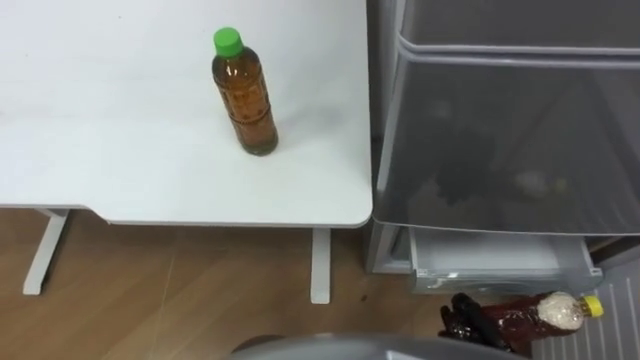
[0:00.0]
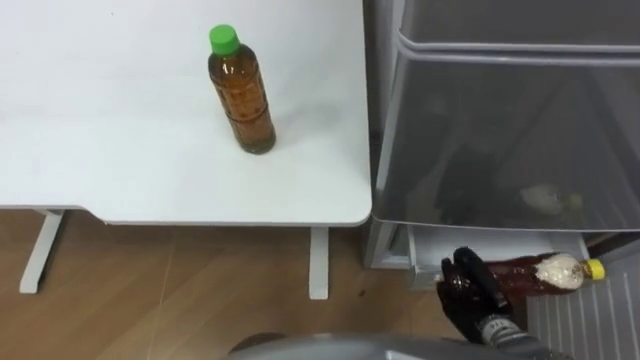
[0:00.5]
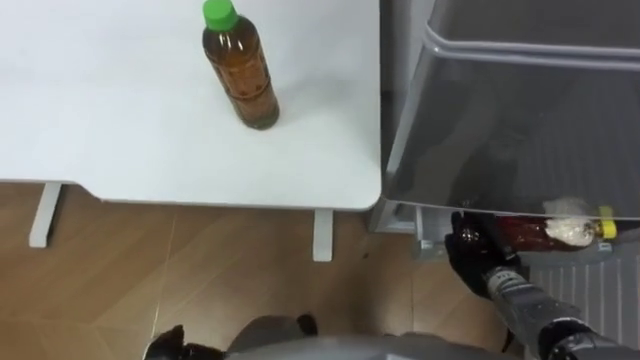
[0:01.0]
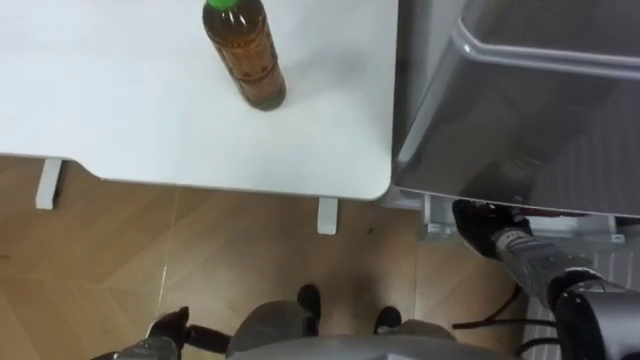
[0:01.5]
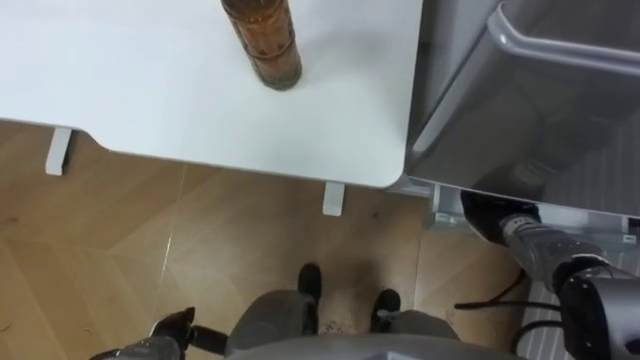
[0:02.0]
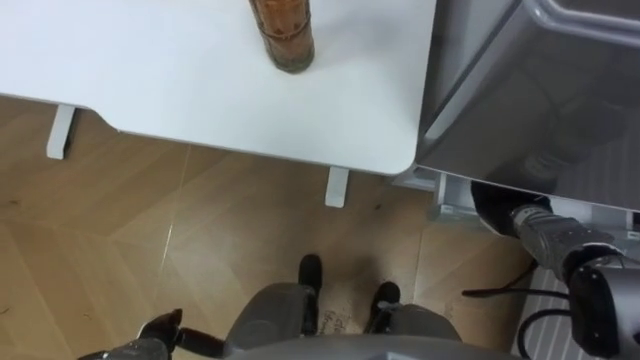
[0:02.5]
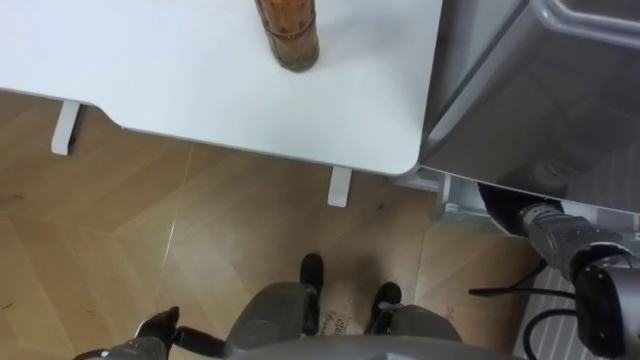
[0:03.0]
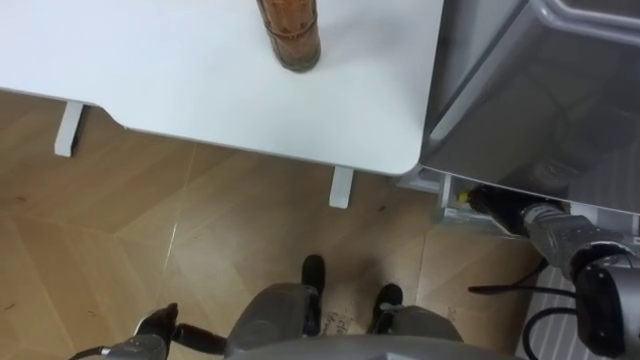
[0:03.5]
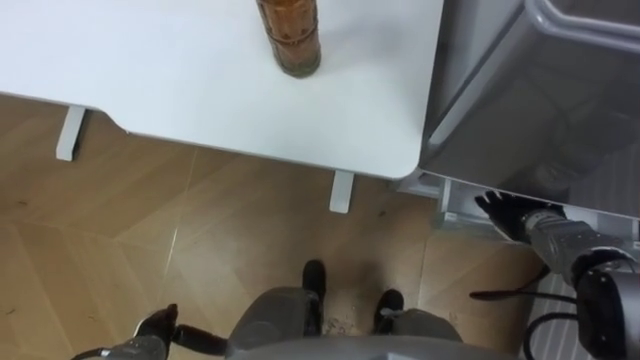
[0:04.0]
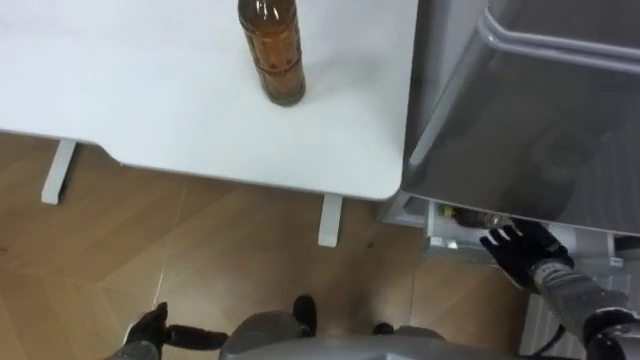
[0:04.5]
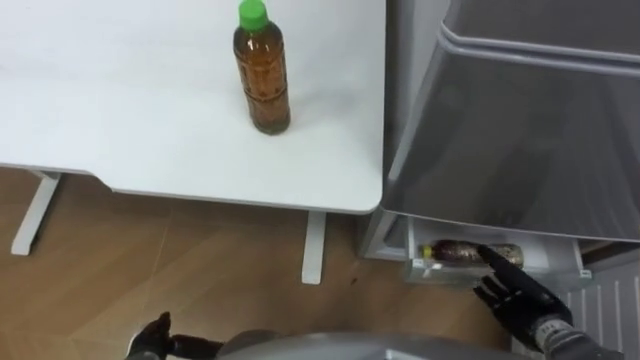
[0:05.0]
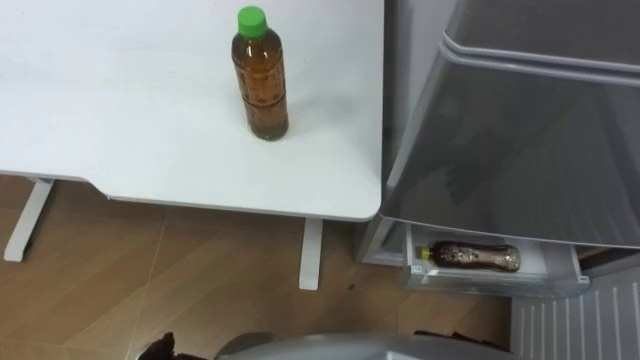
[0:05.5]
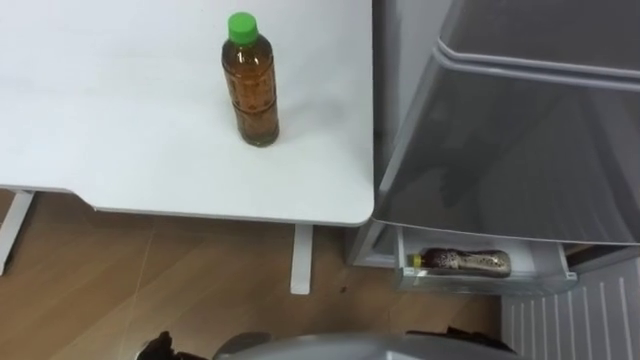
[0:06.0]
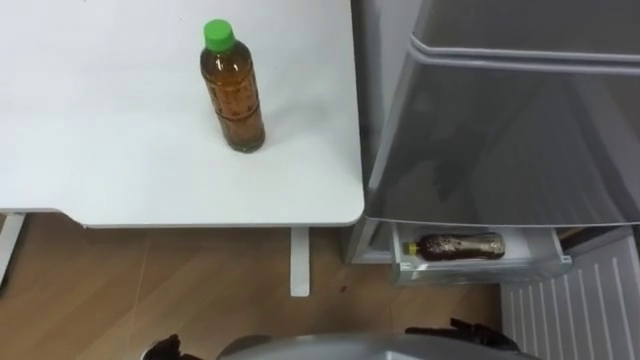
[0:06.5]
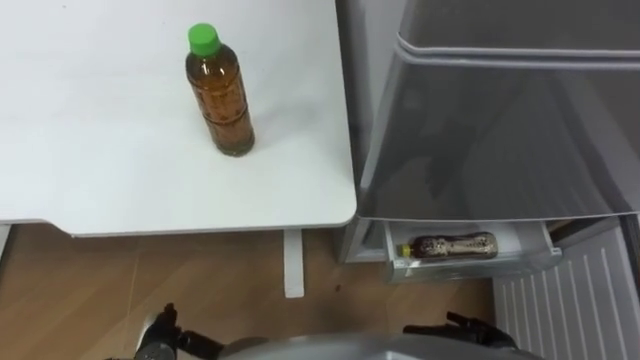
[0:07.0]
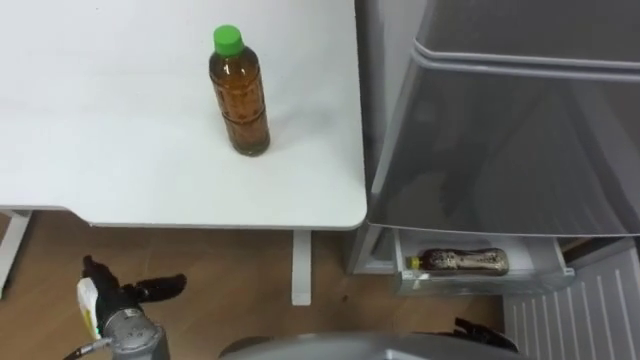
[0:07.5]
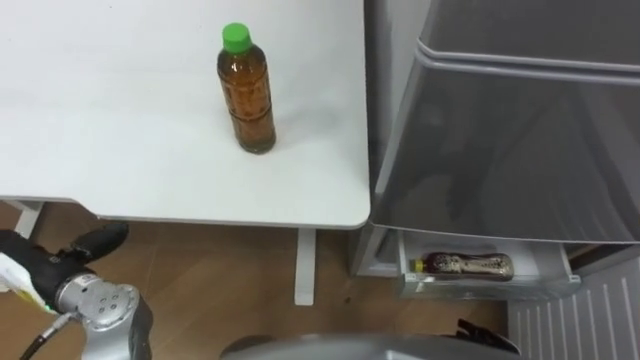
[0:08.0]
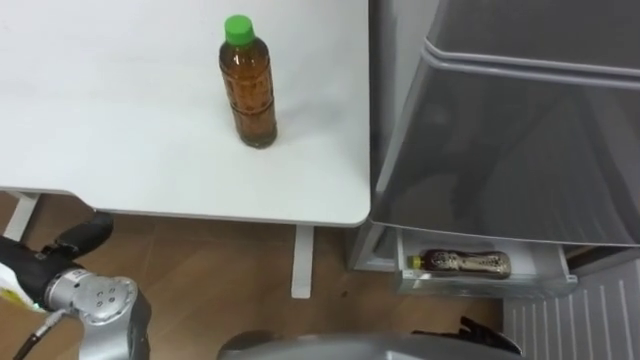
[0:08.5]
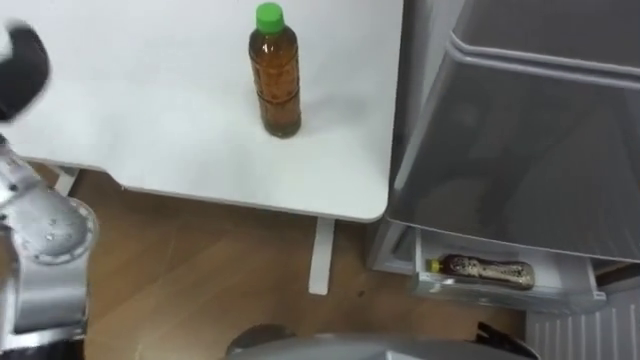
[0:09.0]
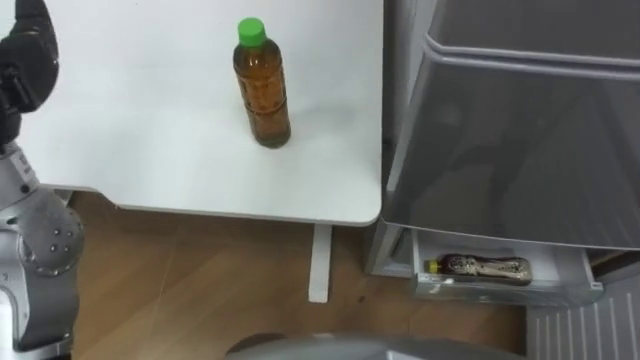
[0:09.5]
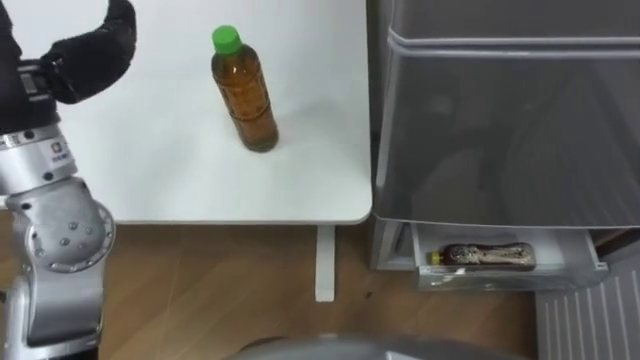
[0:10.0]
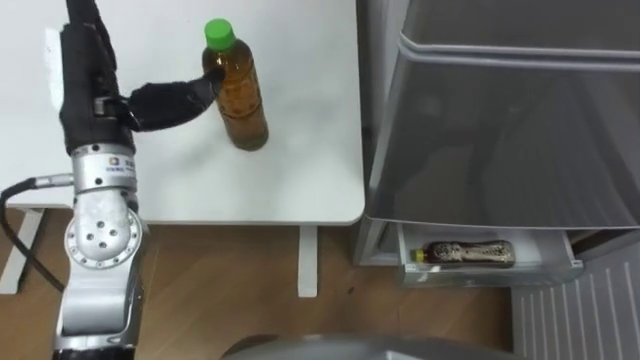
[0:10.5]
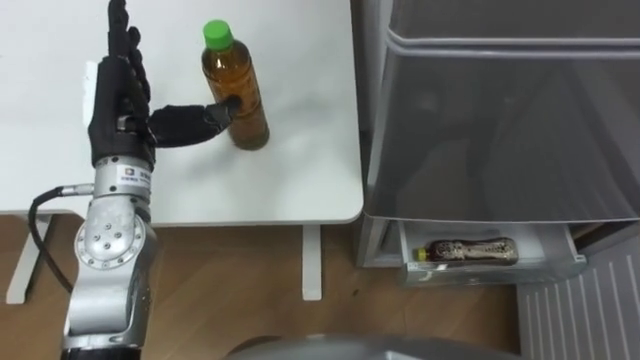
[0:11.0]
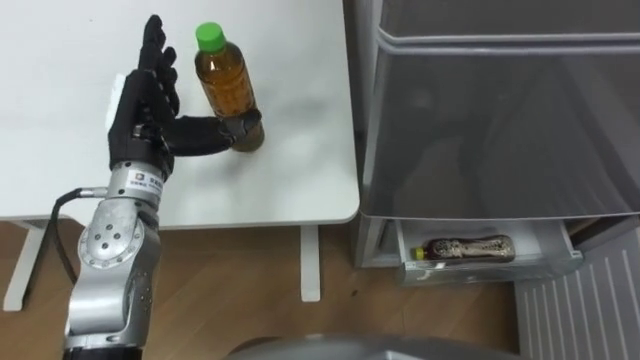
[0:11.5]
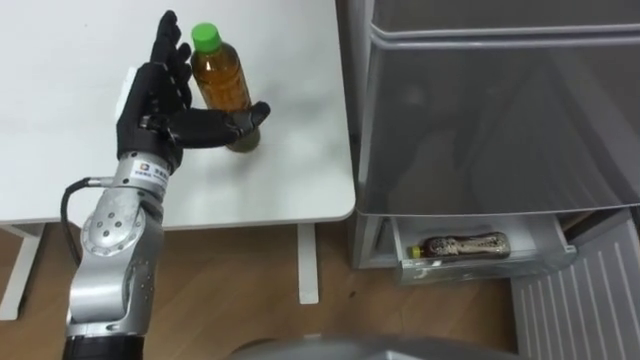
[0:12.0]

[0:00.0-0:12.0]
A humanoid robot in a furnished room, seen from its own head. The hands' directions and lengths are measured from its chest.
Task of the whole recording: Place the drink on the table on the bottom shelf of the refrigerator, then close the drawer and the refrigerator door.
0:00.0 to 0:02.0: The right hand goes approximately 20 cm forward.
0:02.0 to 0:04.0: The right hand opens up.

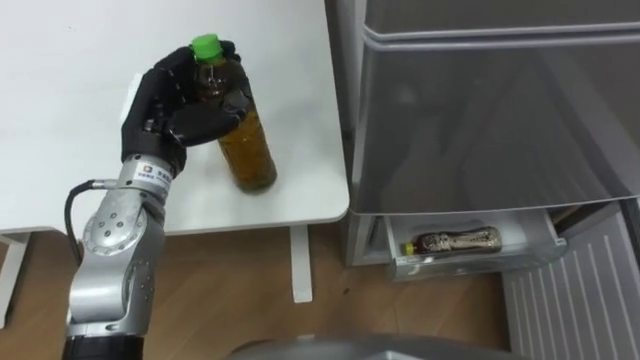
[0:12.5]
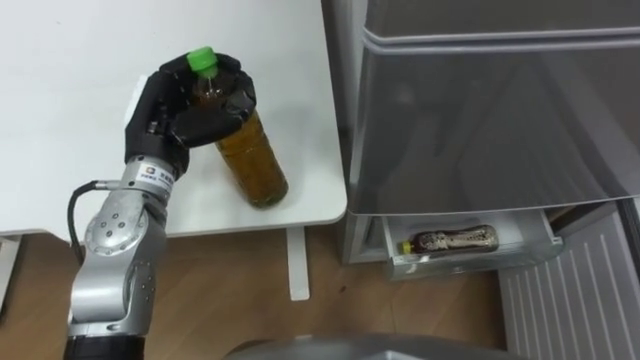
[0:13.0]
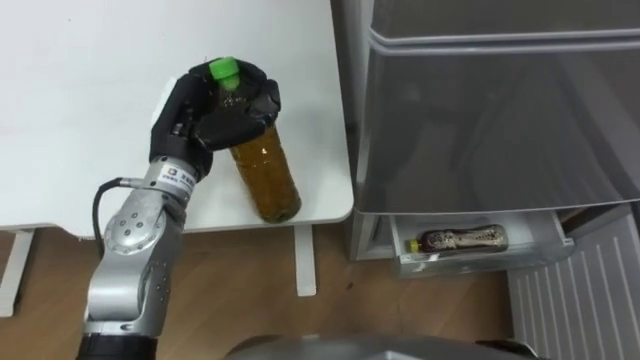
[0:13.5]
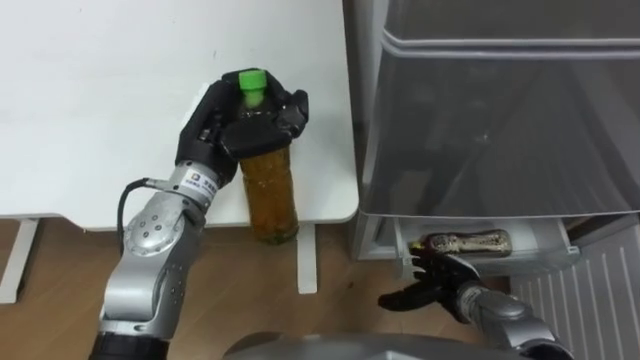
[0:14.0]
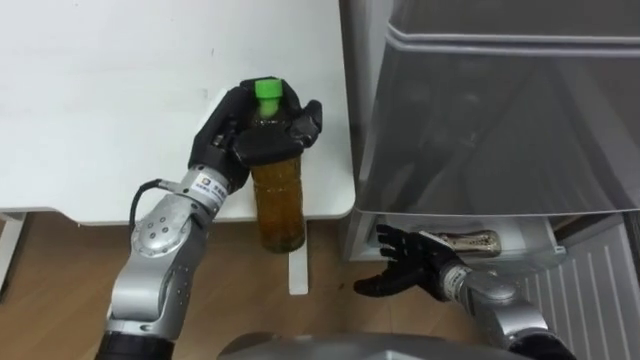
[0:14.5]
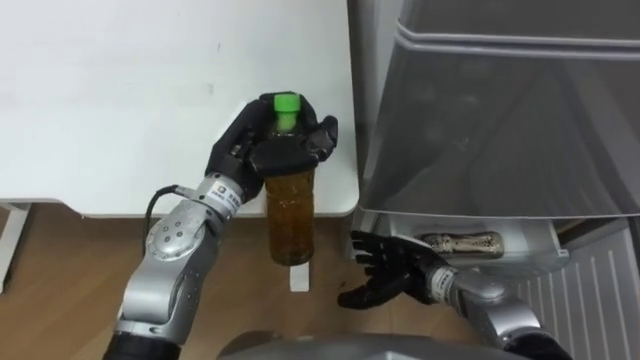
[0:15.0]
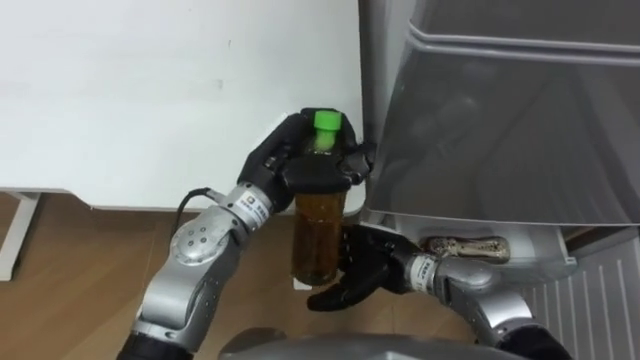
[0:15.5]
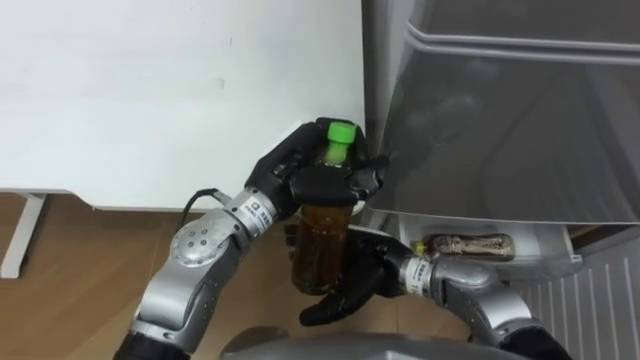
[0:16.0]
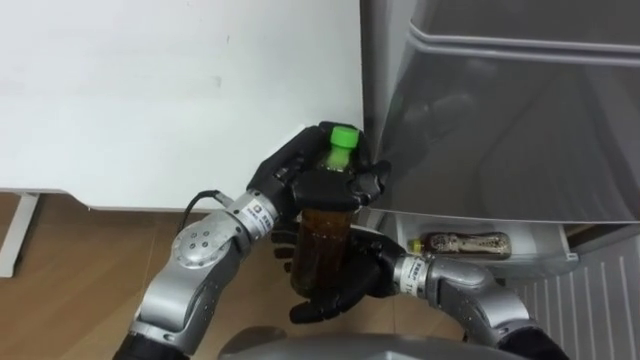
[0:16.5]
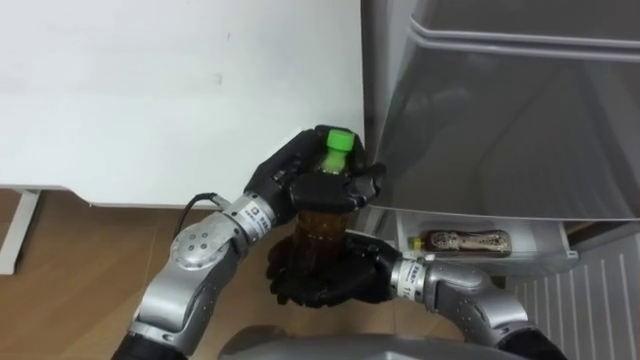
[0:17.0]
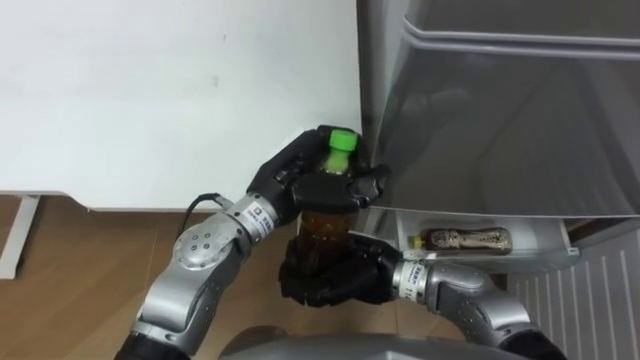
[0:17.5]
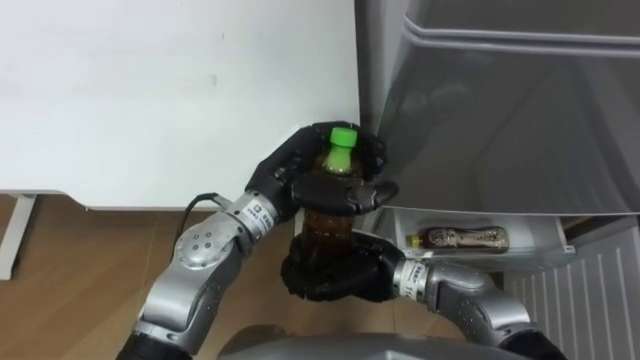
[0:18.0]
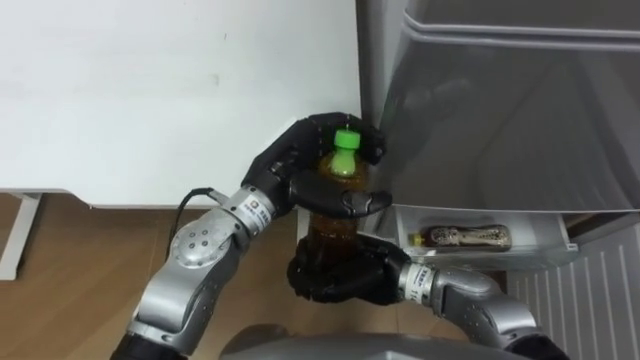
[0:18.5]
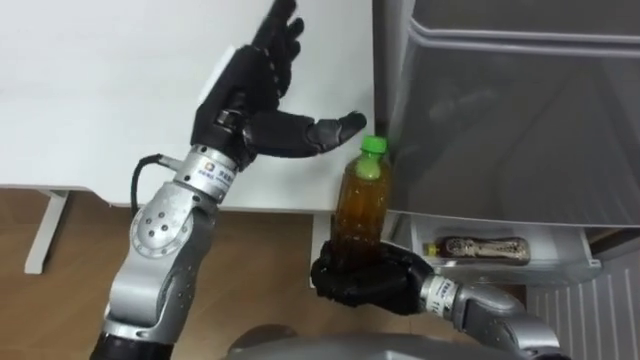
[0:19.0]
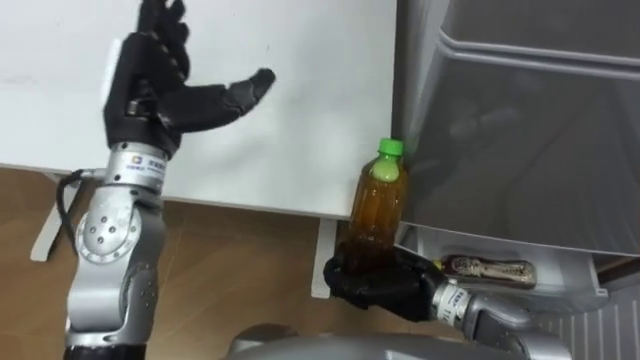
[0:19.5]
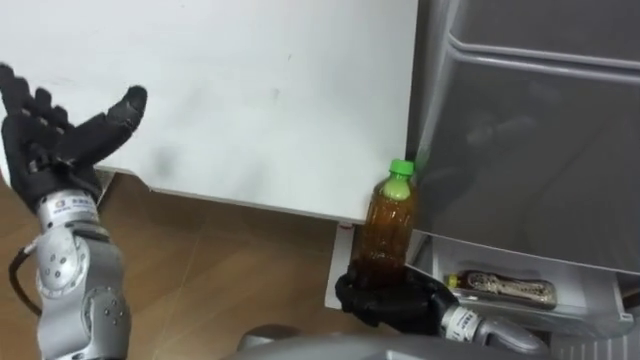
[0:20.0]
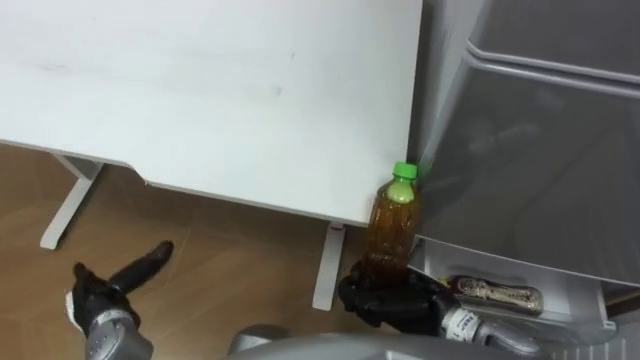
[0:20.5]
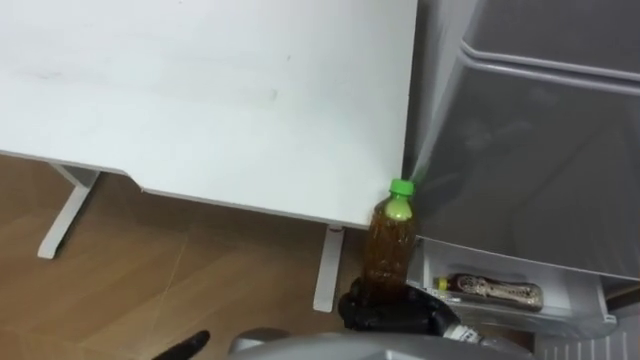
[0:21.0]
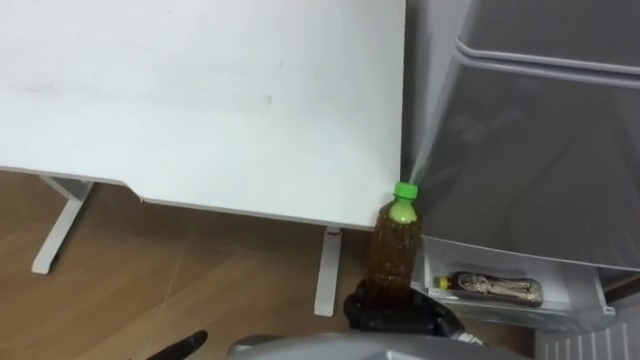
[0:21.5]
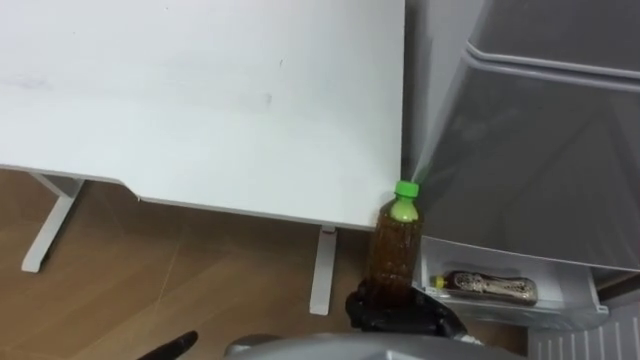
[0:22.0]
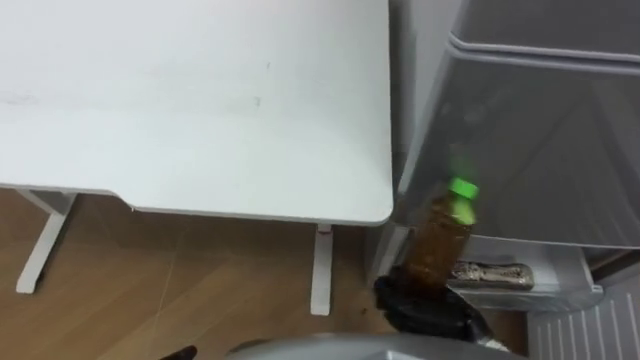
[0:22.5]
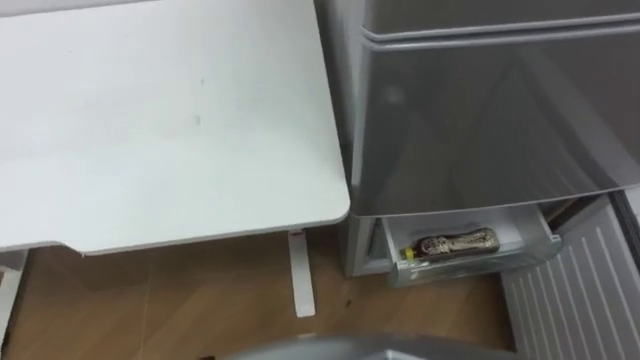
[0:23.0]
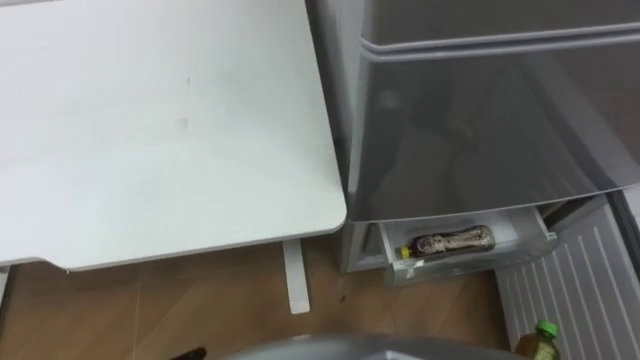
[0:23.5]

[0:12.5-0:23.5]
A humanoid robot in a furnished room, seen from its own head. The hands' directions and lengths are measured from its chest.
Task of the whole recording: Place the drink on the table on the bottom shelf of the refrigerator, then close the drawer and the refrigerator door.
0:12.5 to 0:14.5: The left hand heads to the right, covering approximately 10 cm, and closes up.
0:14.5 to 0:16.0: The left hand is displaced to the right by about 5 cm. The right hand goes approximately 10 cm to the left and upward.
0:16.0 to 0:18.0: The right hand closes. Meanwhile the left hand opens up.
0:18.0 to 0:20.0: The right hand goes some 10 cm to the right, while the left hand goes roughly 25 cm to the left, and opens its fingers.
